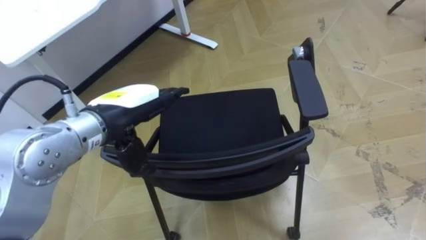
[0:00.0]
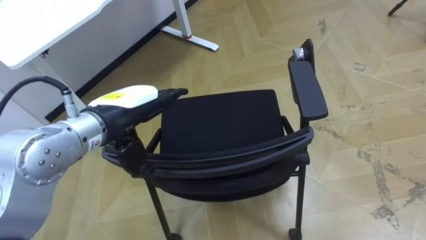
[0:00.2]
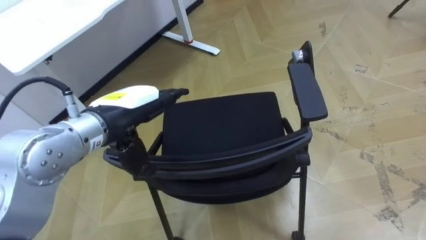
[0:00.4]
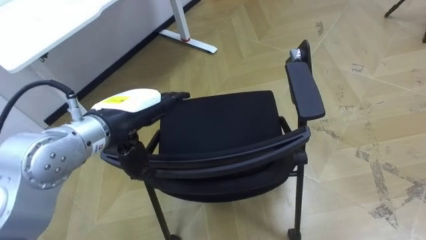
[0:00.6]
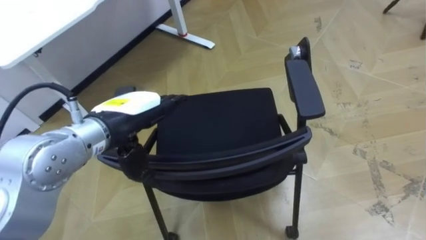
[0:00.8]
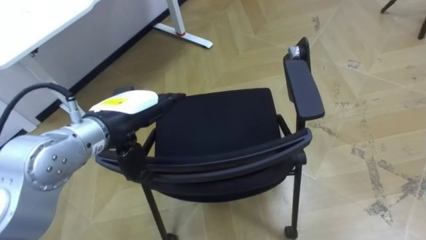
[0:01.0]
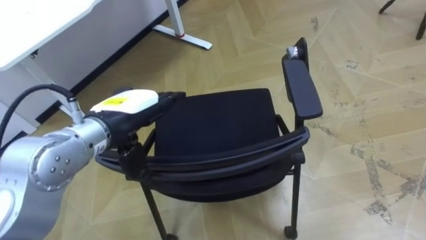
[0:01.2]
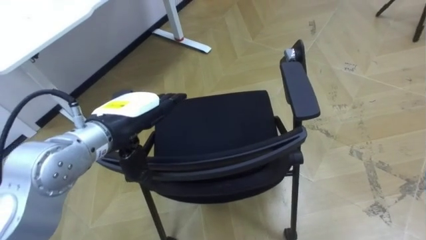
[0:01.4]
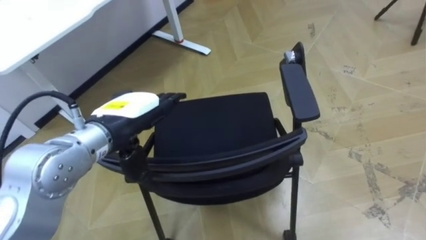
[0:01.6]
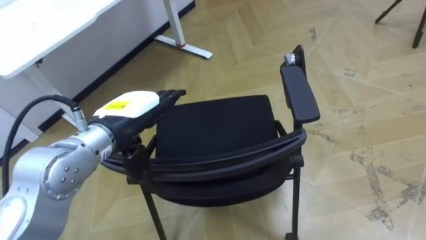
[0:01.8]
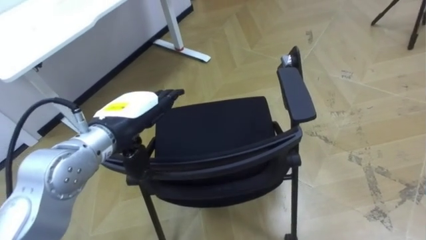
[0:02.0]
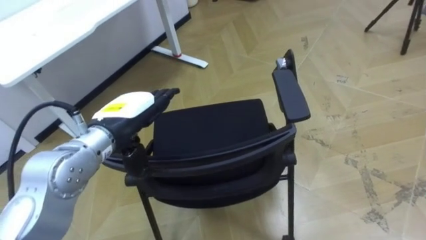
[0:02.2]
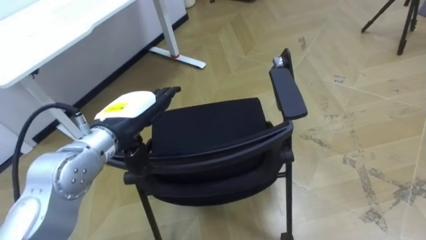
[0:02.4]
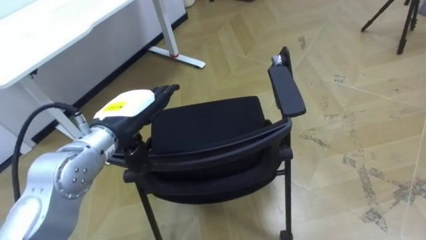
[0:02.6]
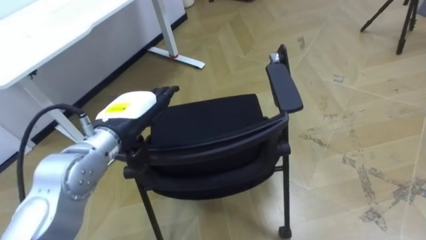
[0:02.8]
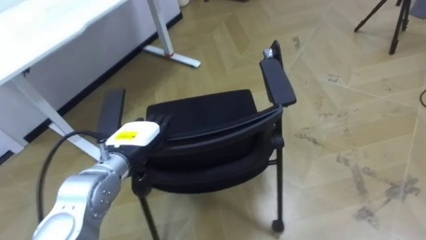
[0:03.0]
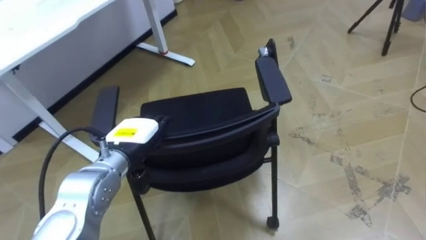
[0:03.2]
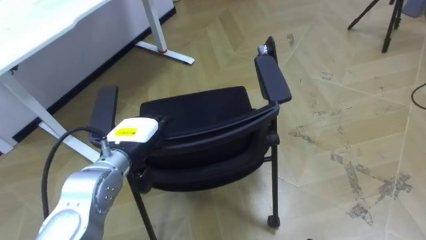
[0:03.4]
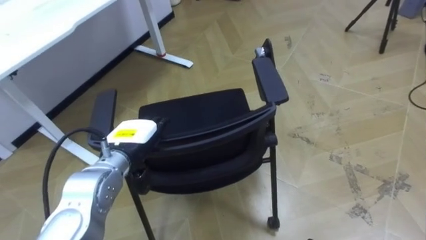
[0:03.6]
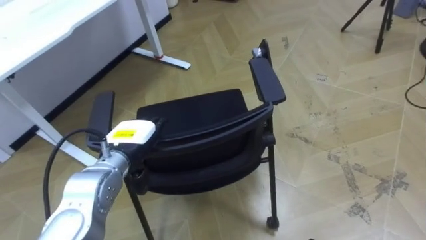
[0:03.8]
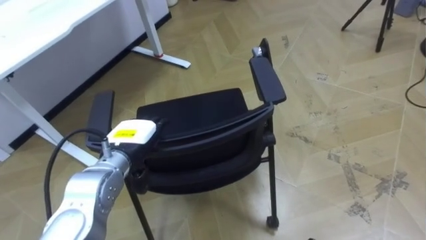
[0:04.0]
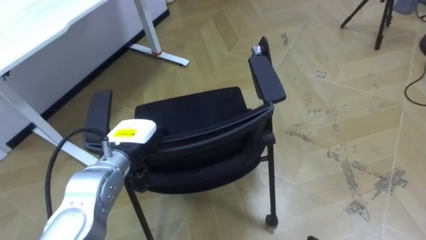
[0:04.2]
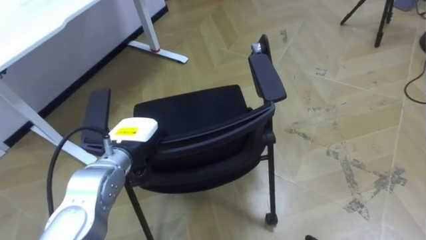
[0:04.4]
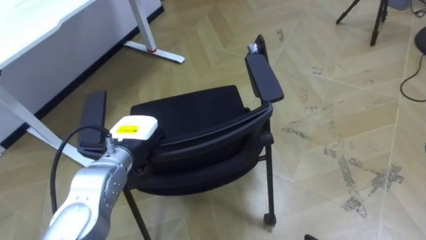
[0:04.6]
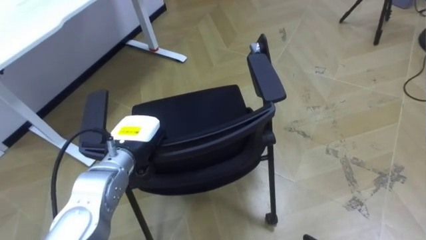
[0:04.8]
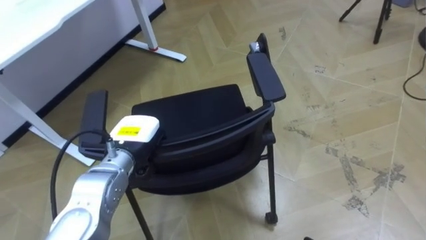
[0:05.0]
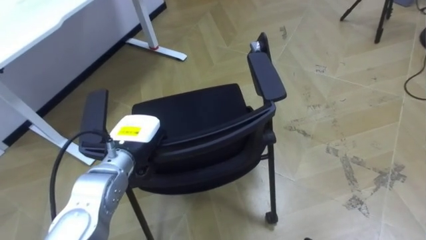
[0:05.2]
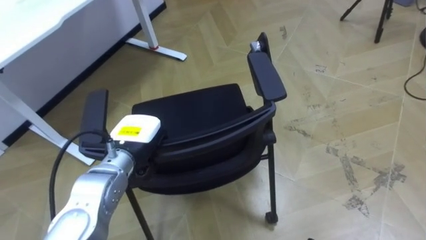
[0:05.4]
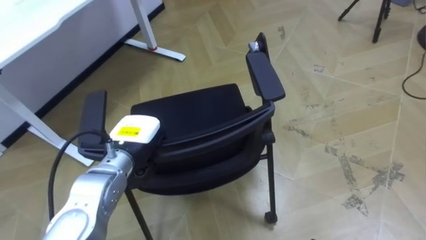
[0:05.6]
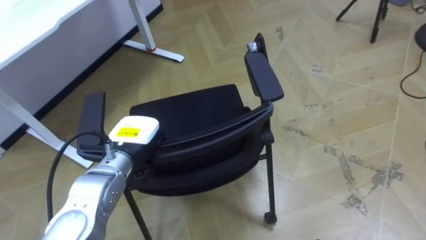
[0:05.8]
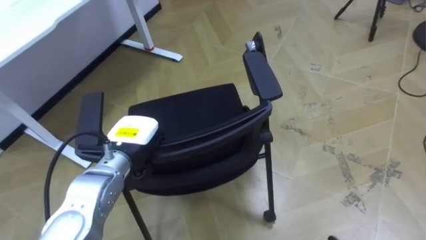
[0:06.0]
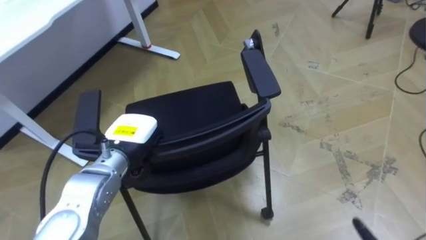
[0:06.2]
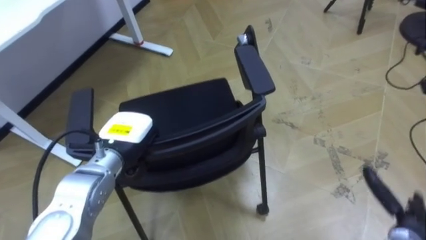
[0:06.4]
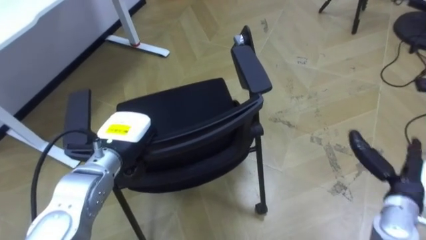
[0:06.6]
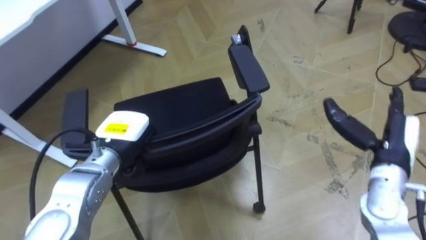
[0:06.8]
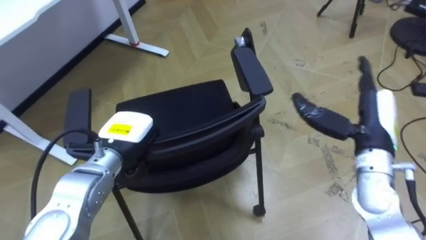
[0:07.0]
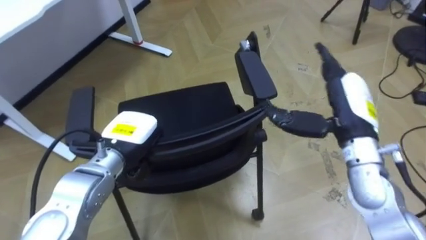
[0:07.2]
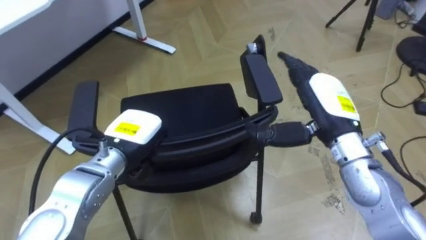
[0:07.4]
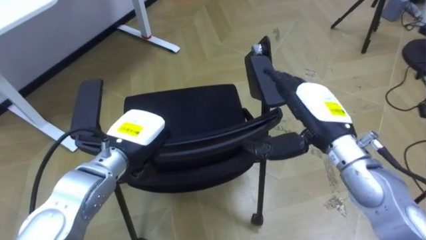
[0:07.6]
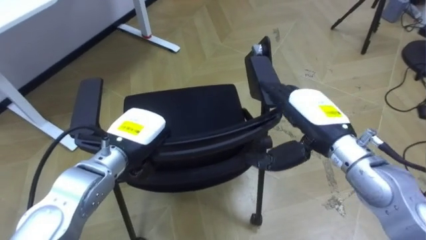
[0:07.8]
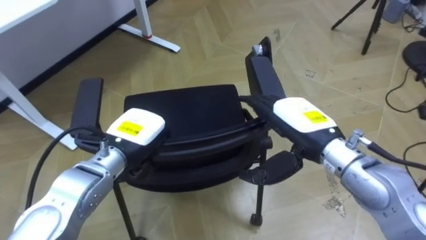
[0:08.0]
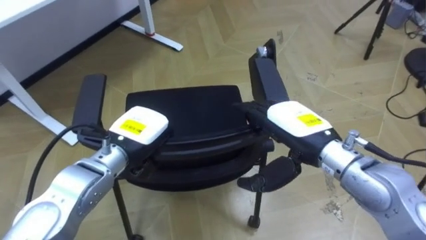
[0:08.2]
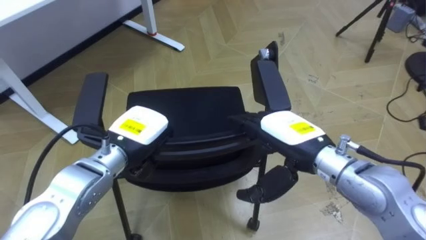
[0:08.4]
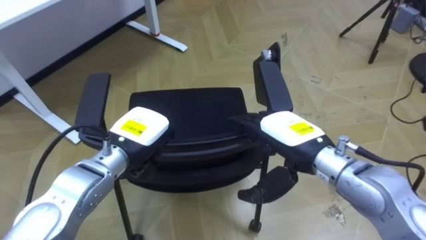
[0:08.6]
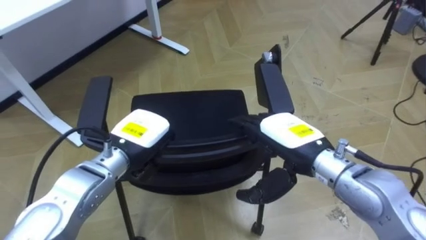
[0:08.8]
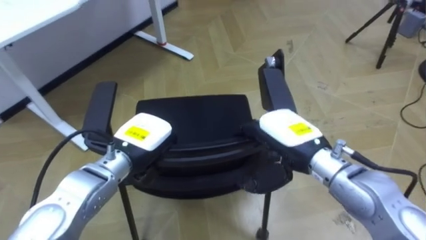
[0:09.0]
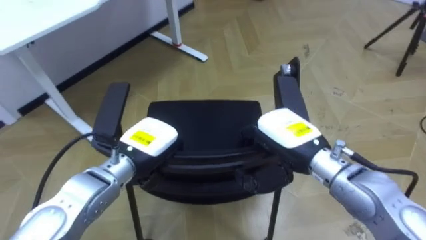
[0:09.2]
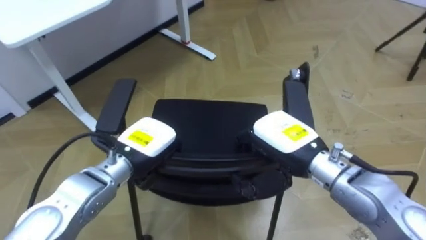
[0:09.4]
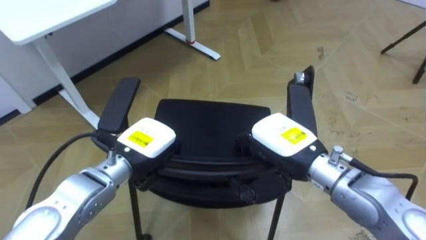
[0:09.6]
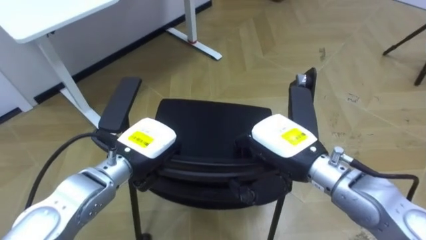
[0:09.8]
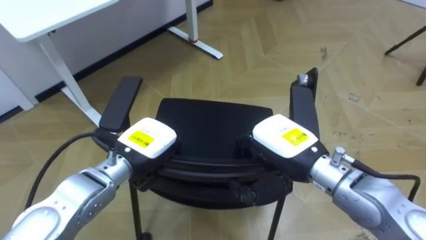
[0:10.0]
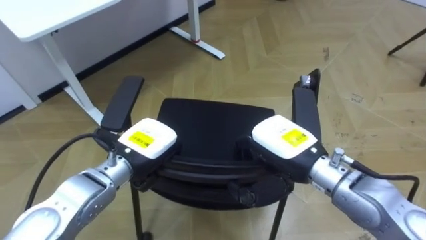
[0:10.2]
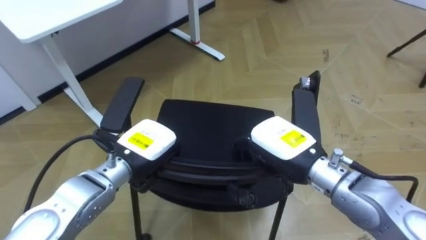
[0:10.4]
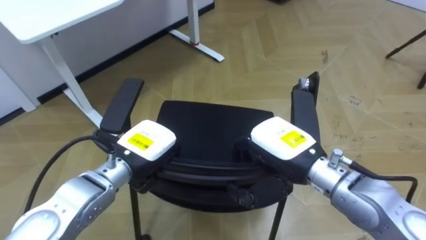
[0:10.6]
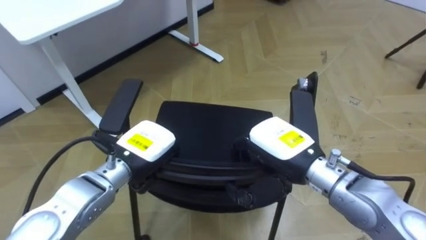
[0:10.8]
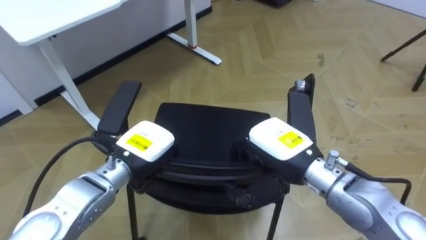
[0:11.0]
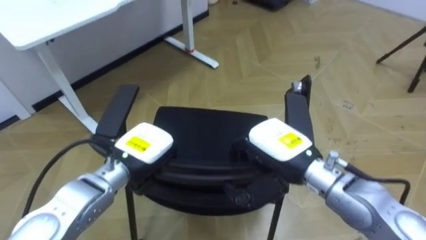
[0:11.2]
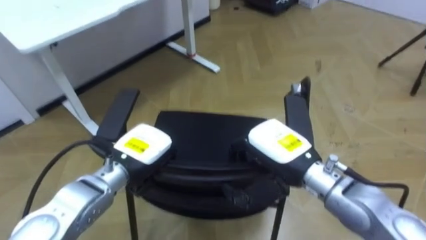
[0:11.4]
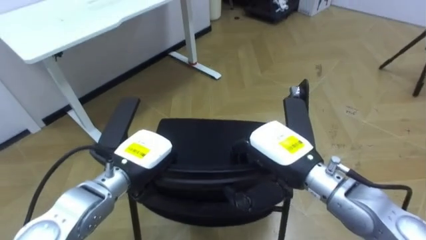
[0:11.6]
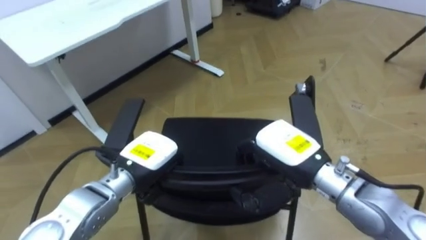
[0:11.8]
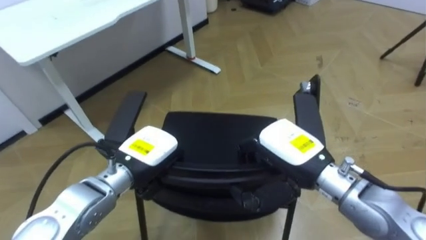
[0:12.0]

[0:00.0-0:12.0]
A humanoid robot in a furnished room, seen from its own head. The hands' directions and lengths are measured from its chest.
Task of the whole recording: Push the chair under the table.
0:01.6 to 0:03.0: The left hand travels downward by roughly 10 cm.
0:03.0 to 0:04.4: The left hand closes up.
0:07.6 to 0:09.0: The right hand shifts by roughly 5 cm.
0:09.0 to 0:10.4: The right hand closes.

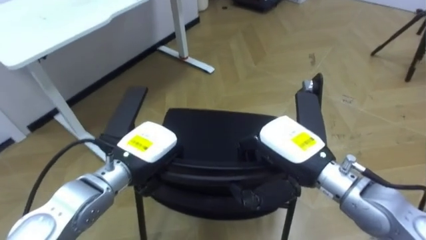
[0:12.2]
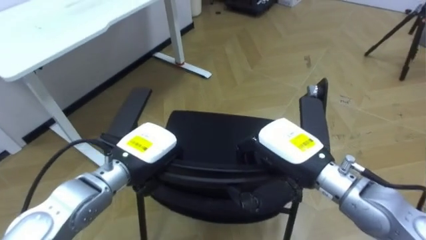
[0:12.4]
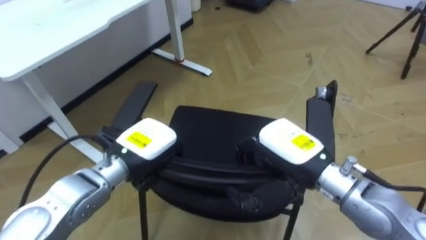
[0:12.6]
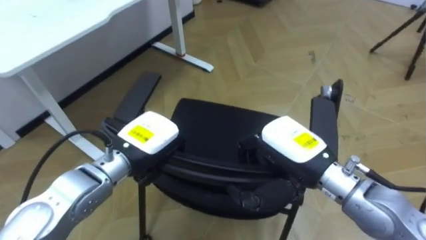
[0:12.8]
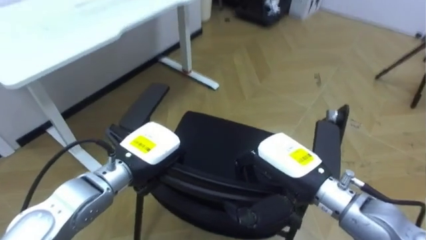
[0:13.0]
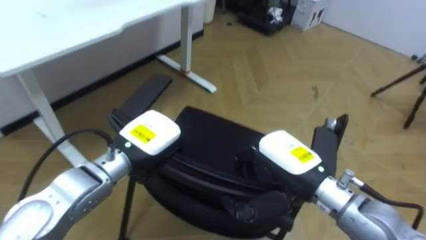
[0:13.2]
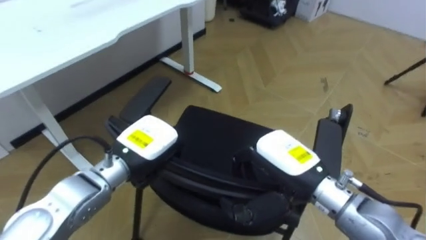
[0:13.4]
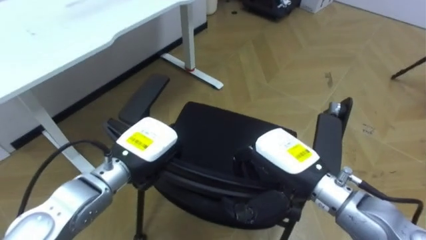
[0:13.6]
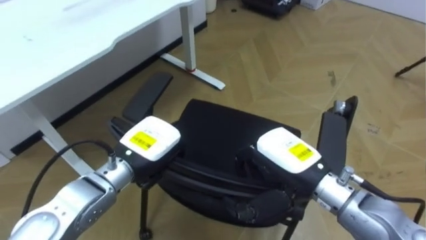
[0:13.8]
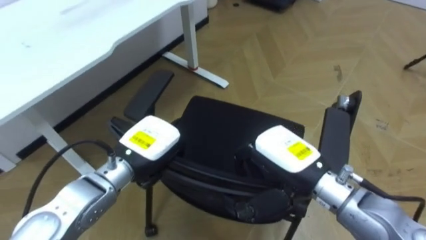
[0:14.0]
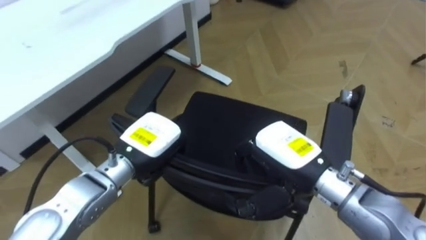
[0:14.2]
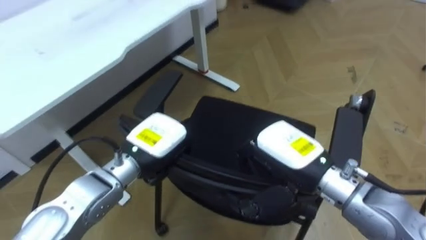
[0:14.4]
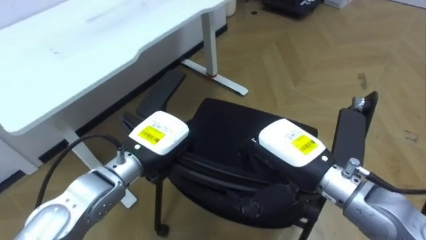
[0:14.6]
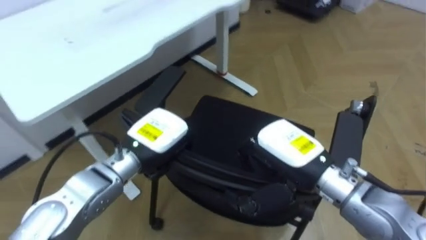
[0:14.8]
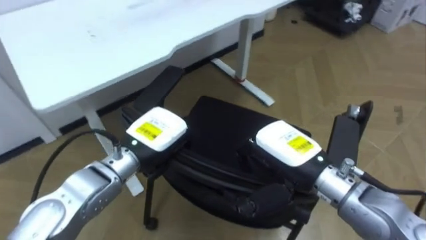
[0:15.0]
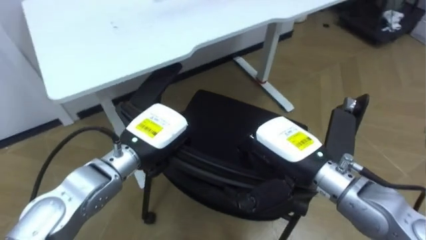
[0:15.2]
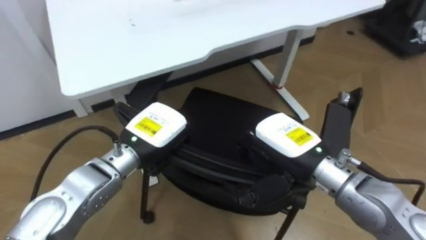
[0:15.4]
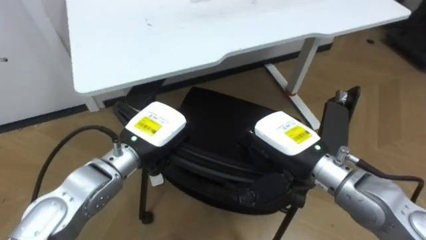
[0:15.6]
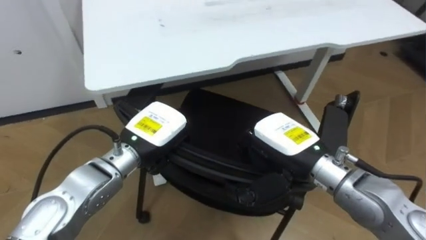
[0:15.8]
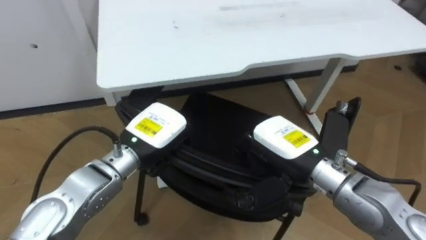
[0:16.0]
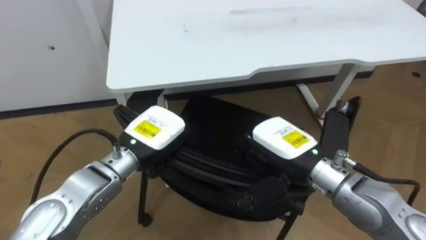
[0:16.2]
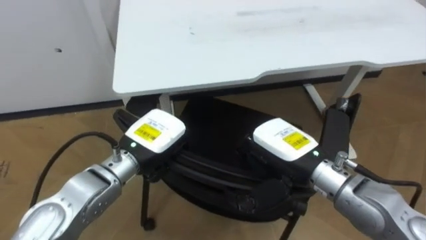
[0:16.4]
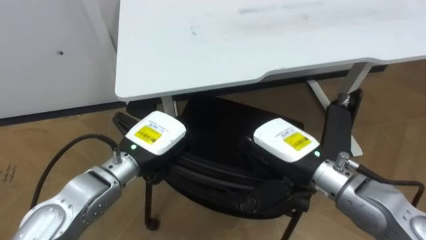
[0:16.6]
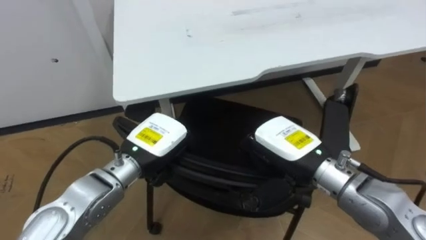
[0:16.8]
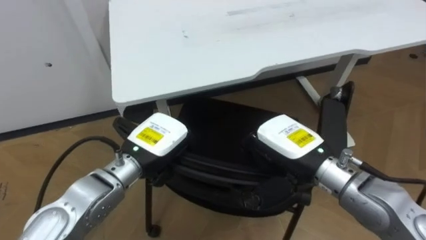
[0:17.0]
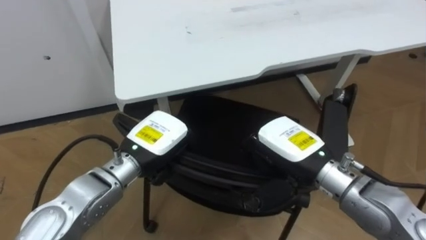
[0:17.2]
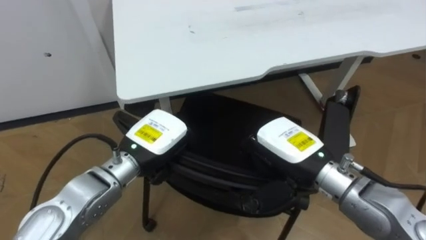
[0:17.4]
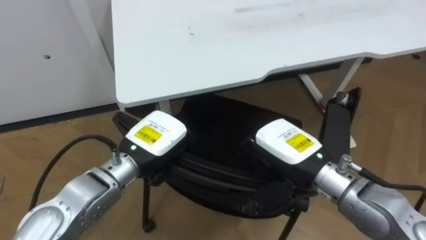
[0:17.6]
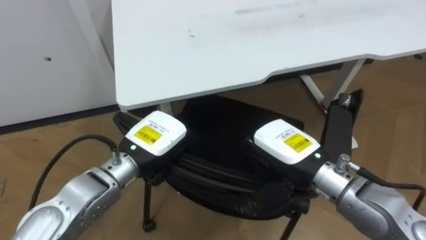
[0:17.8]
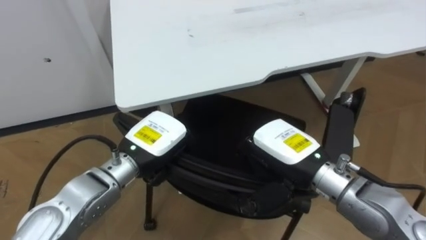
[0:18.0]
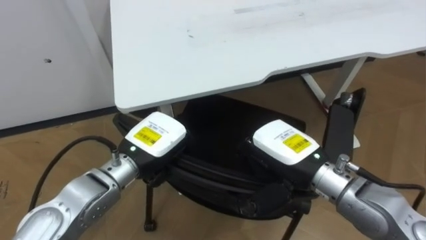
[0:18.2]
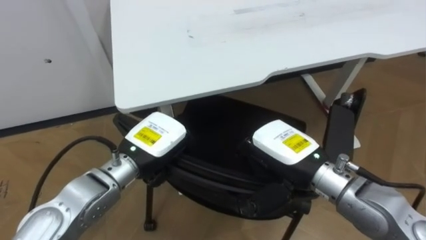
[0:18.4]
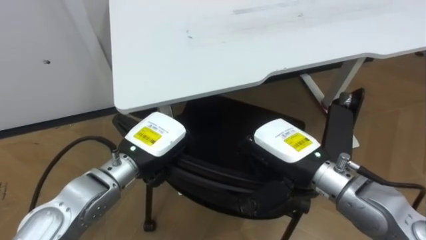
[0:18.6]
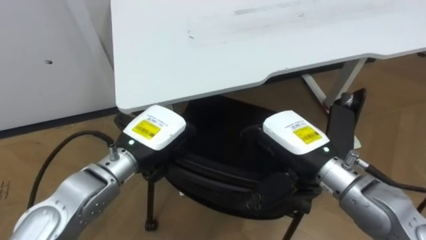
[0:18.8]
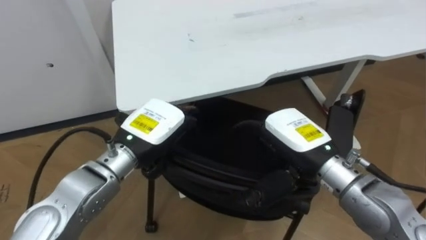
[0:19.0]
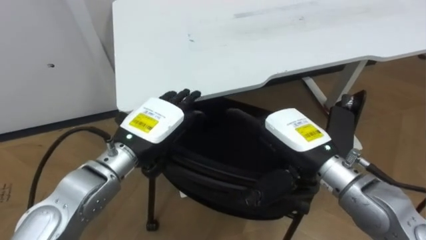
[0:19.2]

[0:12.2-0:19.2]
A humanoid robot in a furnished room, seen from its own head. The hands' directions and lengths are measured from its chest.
Task of the whole recording: Push the chair under the table.
0:15.0 to 0:16.4: The robot rotates roughly 20 degrees to its left.
0:17.8 to 0:19.2: The left hand opens its fingers; the right hand opens.
